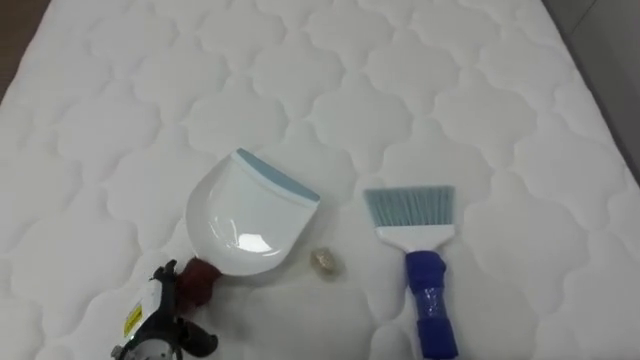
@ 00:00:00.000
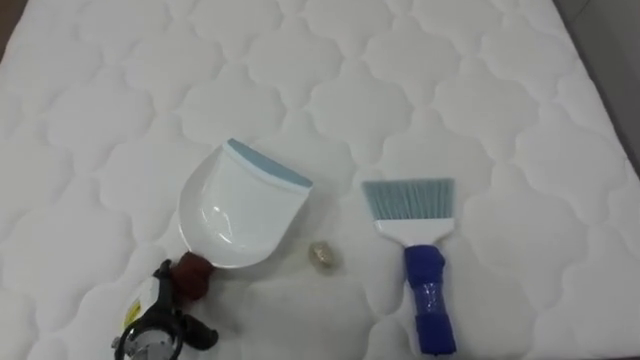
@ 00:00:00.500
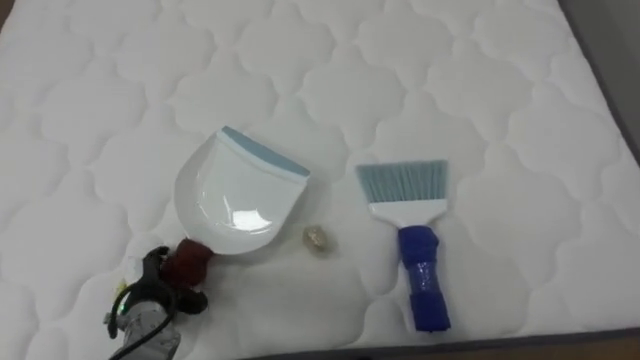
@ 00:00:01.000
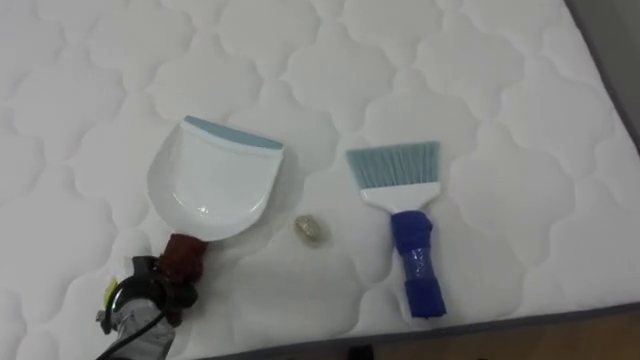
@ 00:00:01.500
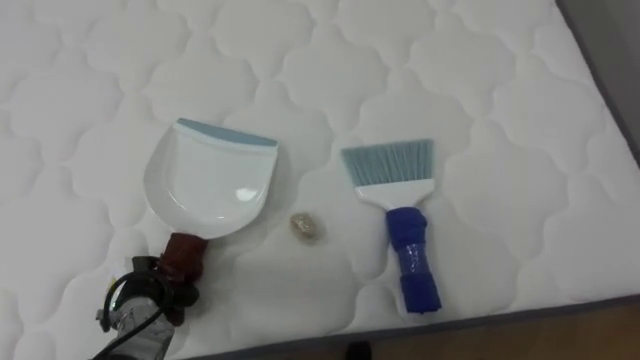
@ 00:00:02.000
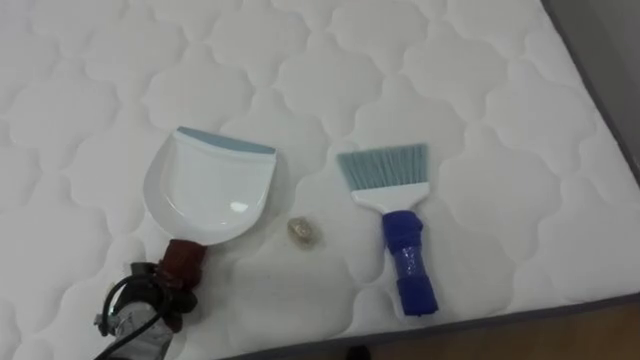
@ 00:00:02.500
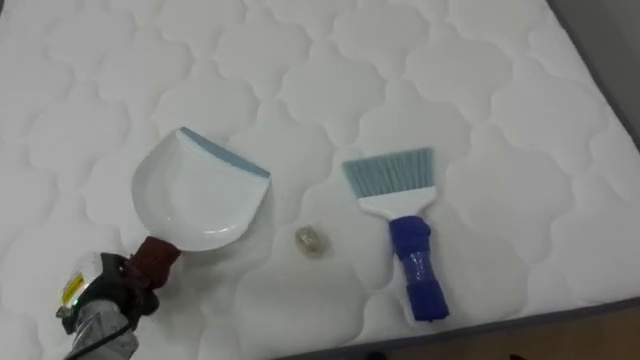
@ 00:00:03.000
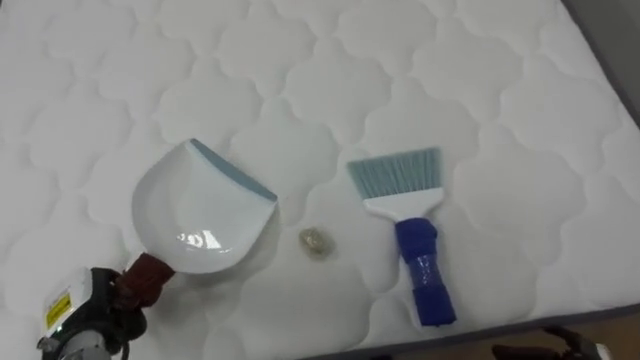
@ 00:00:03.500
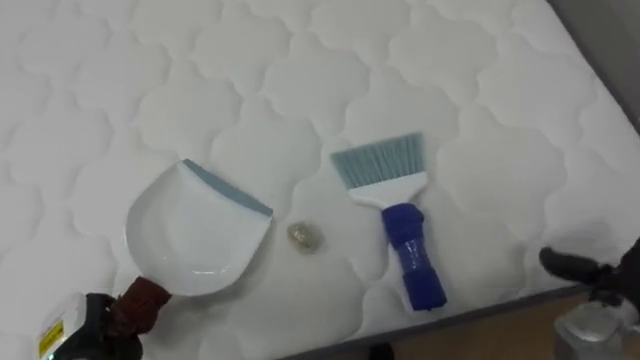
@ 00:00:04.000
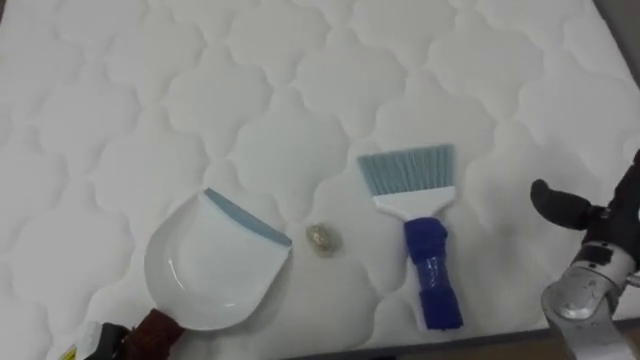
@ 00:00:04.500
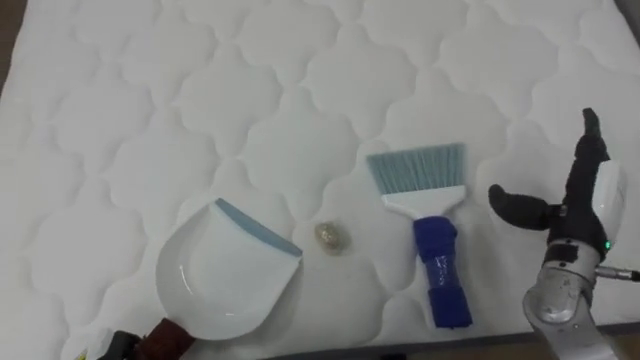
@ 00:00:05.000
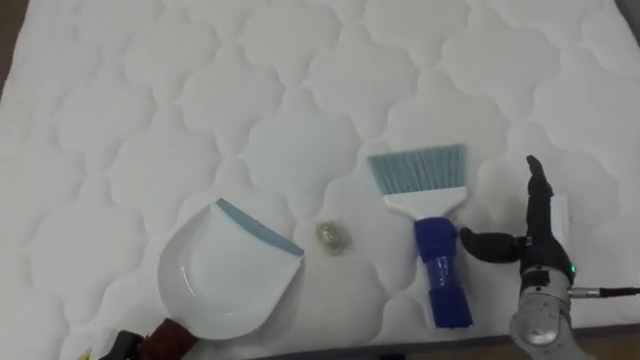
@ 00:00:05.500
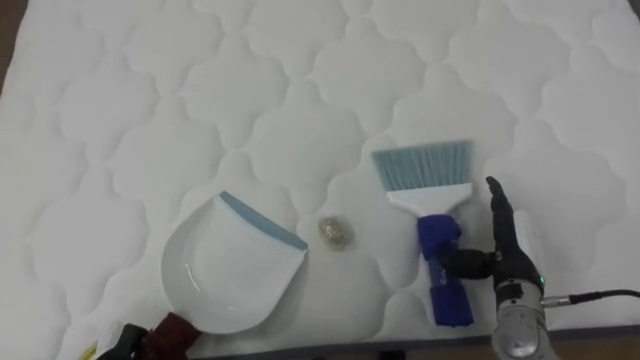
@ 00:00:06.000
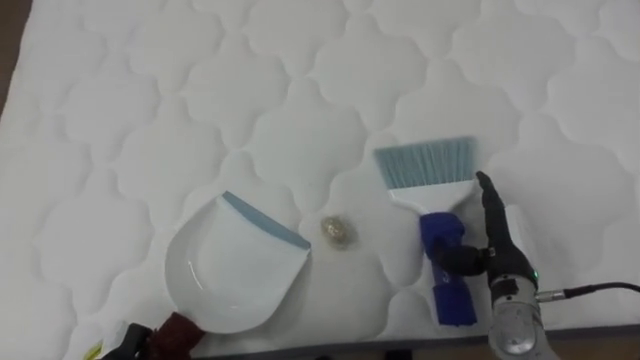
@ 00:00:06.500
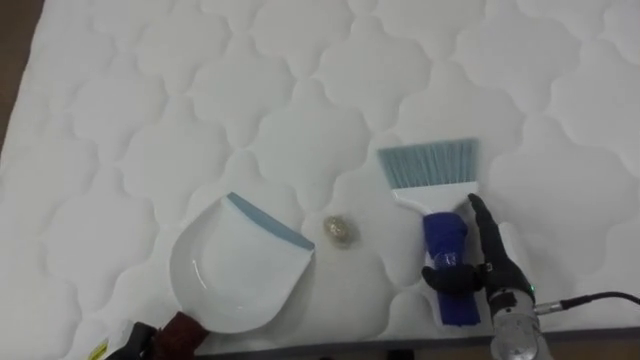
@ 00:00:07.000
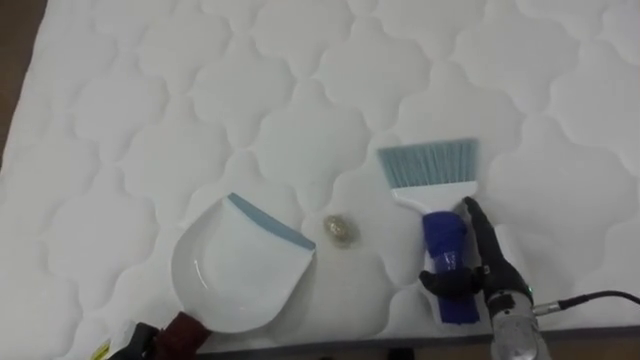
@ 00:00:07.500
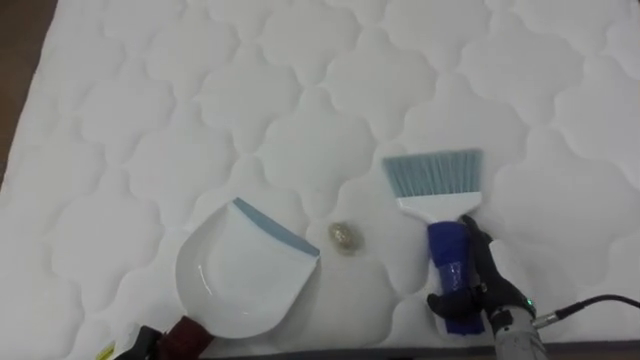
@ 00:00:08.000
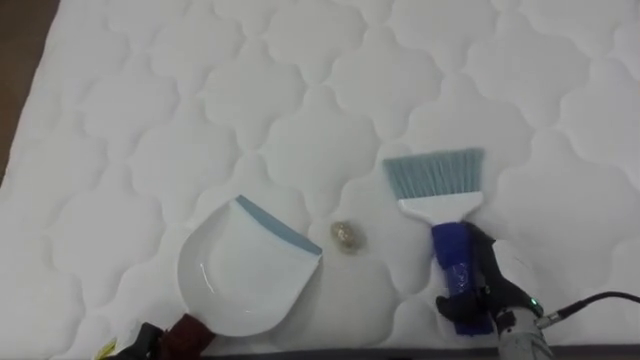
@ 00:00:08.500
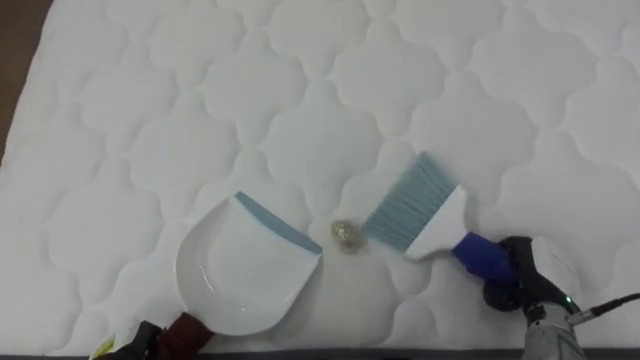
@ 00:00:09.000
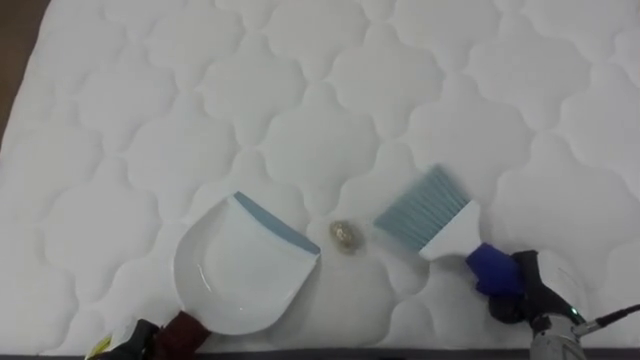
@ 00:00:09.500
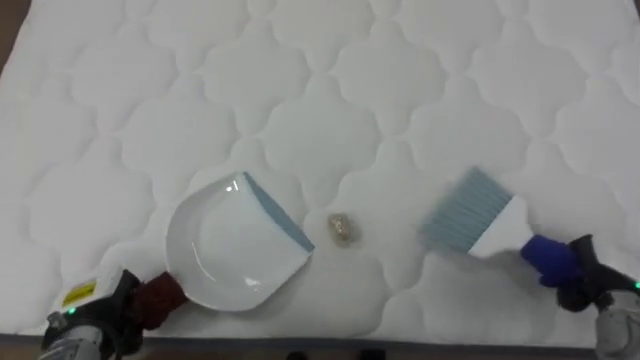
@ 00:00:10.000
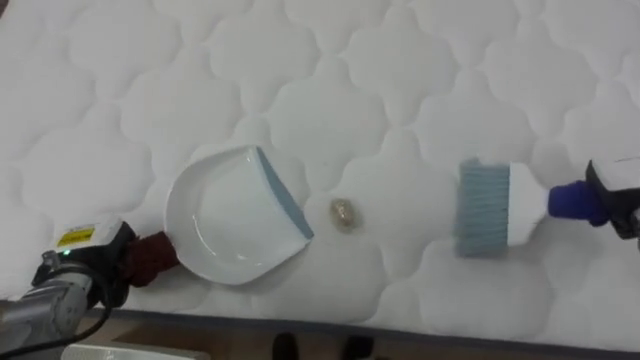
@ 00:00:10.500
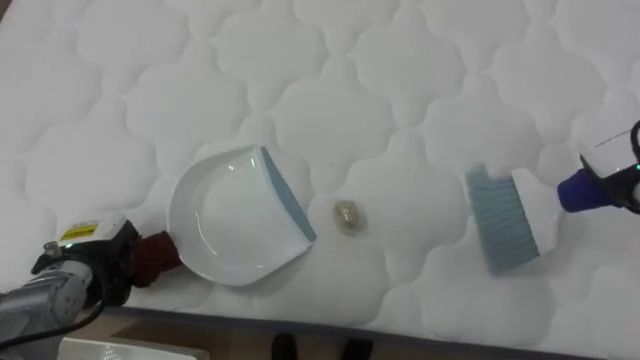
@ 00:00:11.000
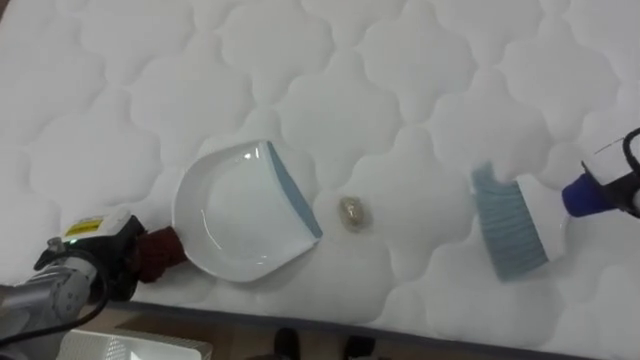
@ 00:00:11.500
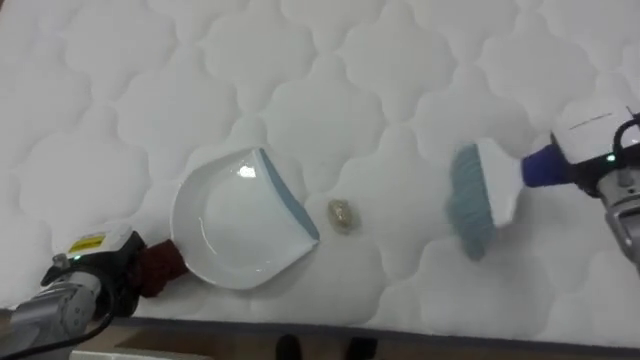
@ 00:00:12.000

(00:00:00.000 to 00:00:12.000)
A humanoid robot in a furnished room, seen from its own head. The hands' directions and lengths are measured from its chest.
Task of the whole recording: Pick up the brush on your right and the dustpan on your left. Use the brush to sweep the crumpled paper on the bed into the dustpan, then turn left and empty it into the basket.
00:00:00.000 - 00:00:02.000: The left hand ends up about 5 cm from where it was, and closes.
00:00:02.000 - 00:00:04.000: The left hand heads backward and to the left, covering approximately 10 cm.
00:00:04.000 - 00:00:06.000: The right hand shifts some 15 cm to the left and forward.
00:00:06.000 - 00:00:08.000: The right hand changes place by some 5 cm.
00:00:08.000 - 00:00:10.000: The right hand shifts about 15 cm to the right, and closes its fingers.
00:00:10.000 - 00:00:12.000: The left hand goes some 5 cm forward.

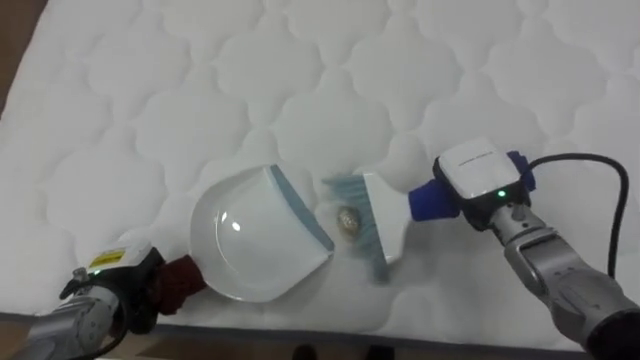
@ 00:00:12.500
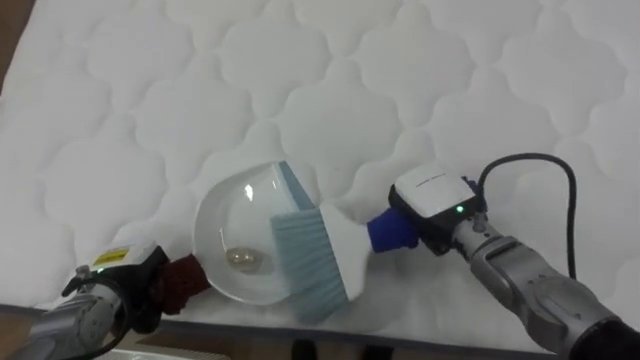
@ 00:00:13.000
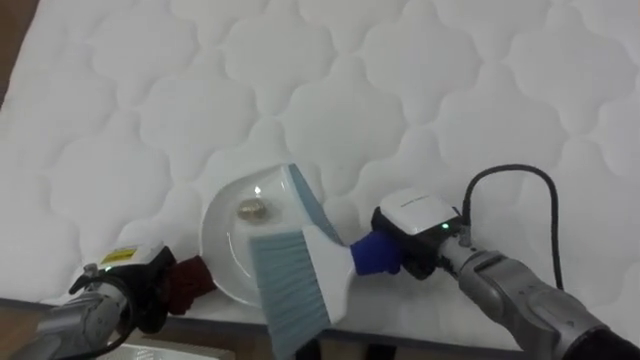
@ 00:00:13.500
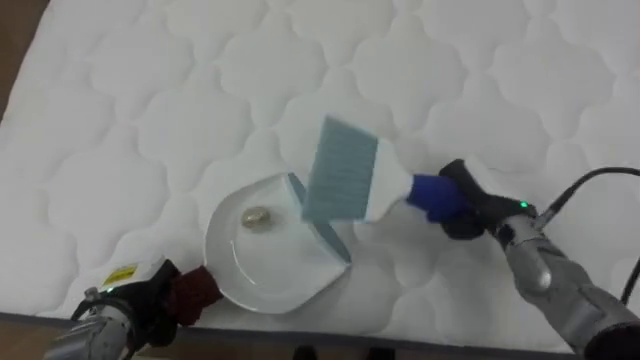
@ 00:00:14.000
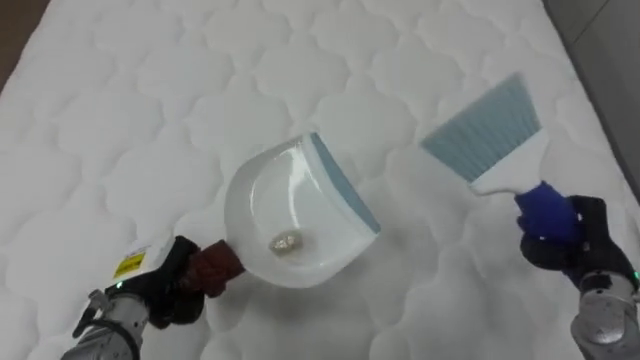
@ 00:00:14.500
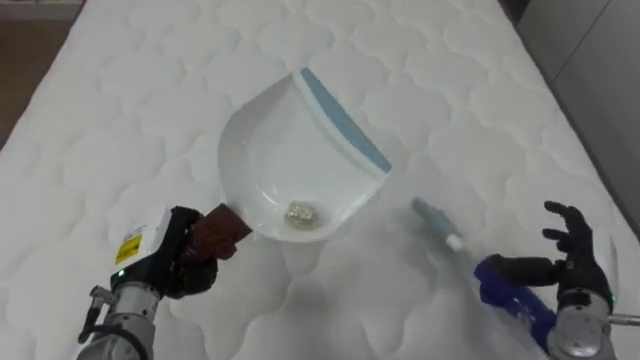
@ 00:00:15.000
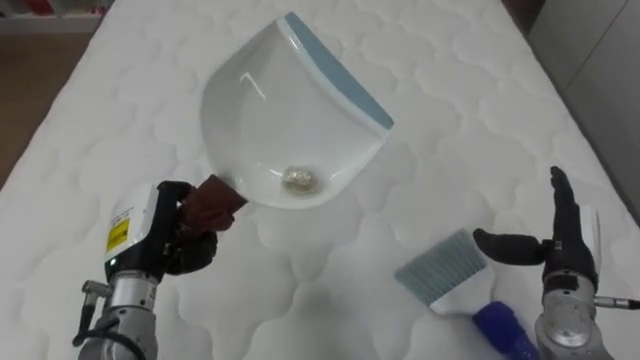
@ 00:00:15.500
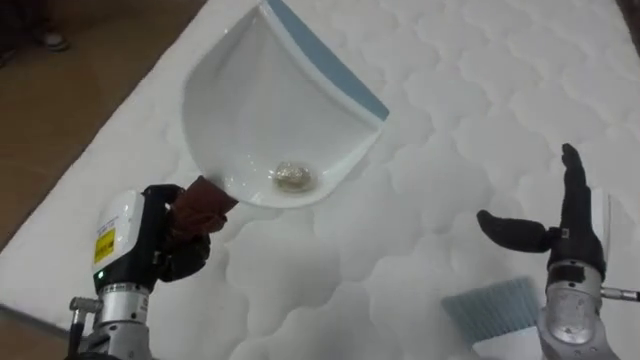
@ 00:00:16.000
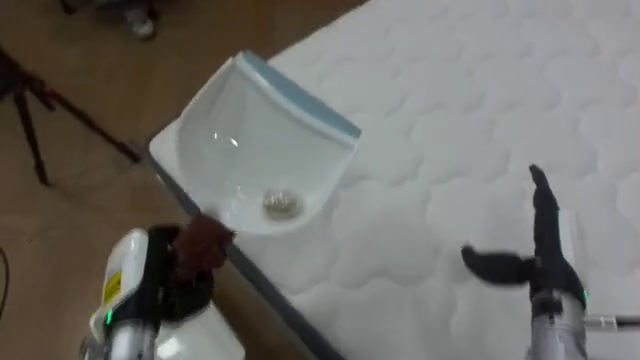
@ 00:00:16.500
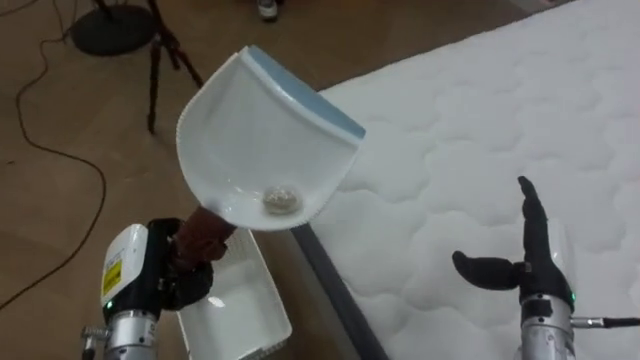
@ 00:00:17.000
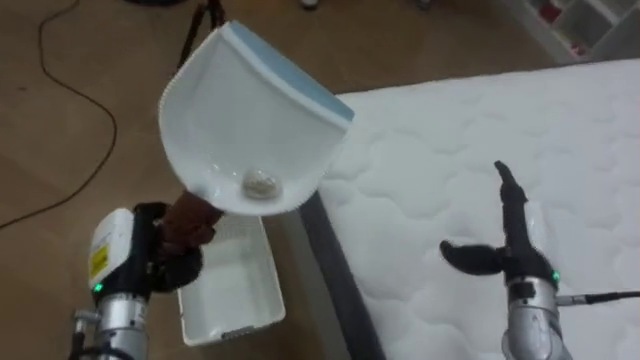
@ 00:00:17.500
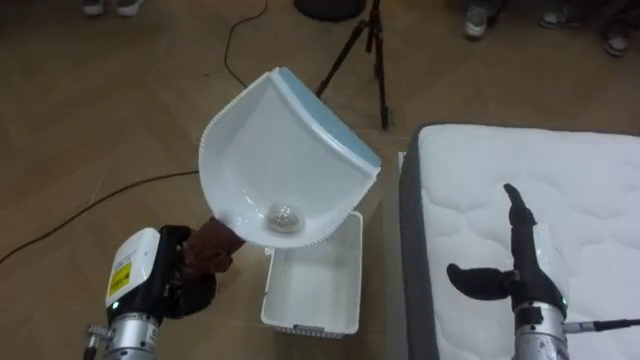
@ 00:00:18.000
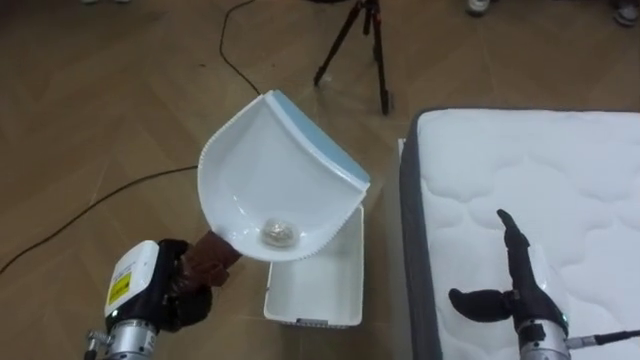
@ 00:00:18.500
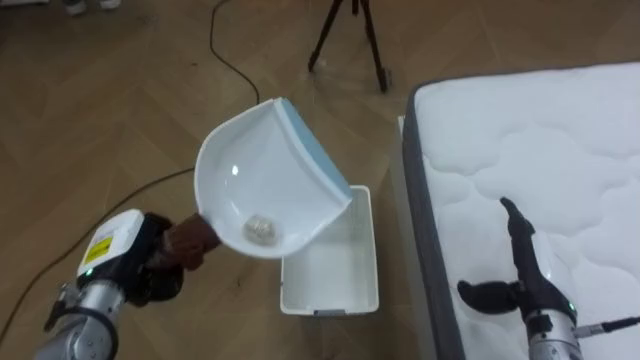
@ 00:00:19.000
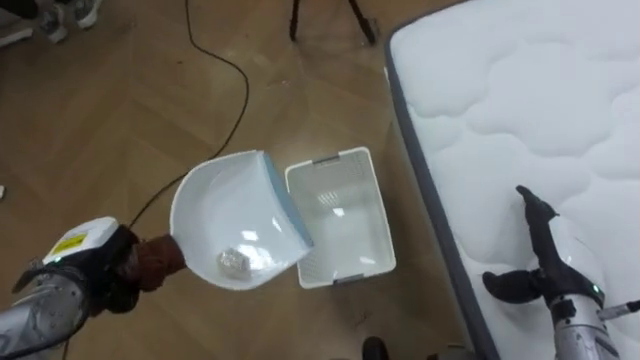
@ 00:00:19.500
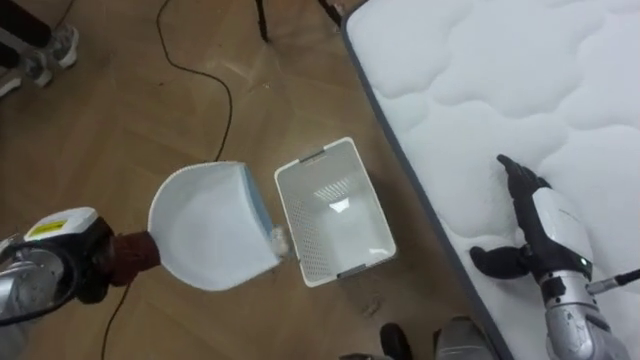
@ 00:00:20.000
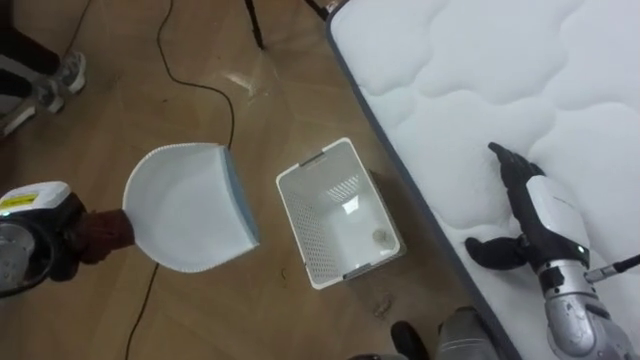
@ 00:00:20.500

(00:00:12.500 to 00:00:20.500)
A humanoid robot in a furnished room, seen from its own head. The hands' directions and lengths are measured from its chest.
Task of the whole recording: Pick up the brush on your right and the dustpan on your left. Use the brush to sweep the crumpled paper on the bed into the dustpan, then turn left and empty it into the basket.
00:00:12.500 - 00:00:14.500: The left hand changes place by about 5 cm; the right hand goes roughly 15 cm to the right and backward.
00:00:14.500 - 00:00:16.500: The robot's body swings approximately 40 degrees to its left. The right hand shifts about 5 cm to the left, and opens up. The left hand goes upward and returns, approximately 10 cm each way.
00:00:16.500 - 00:00:18.500: The robot faces about 55 degrees further to its left.
00:00:18.500 - 00:00:20.500: The left hand is displaced to the left and forward by about 15 cm, while the right hand shifts some 10 cm upward and forward.
